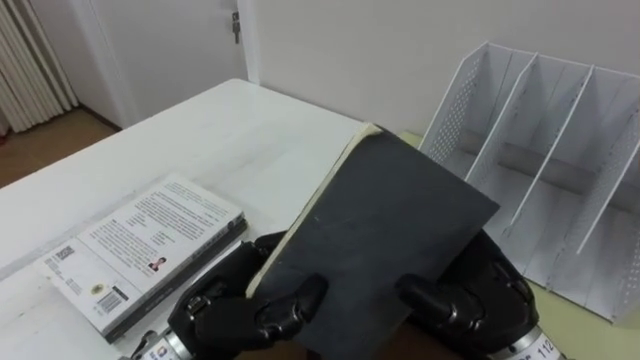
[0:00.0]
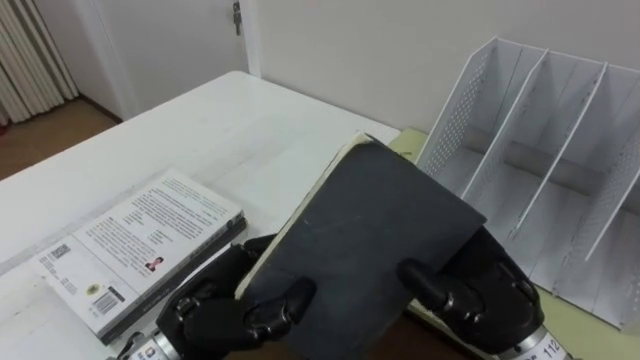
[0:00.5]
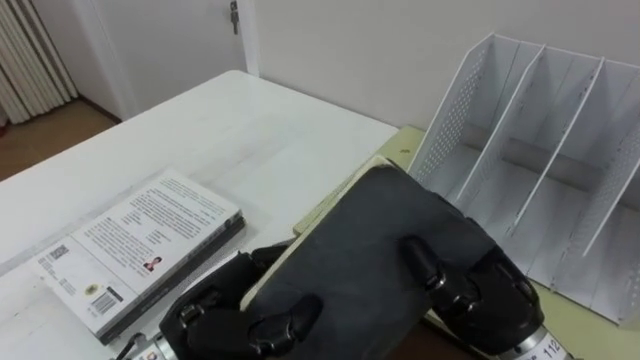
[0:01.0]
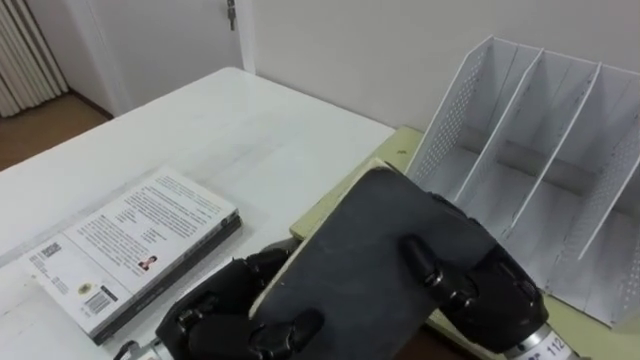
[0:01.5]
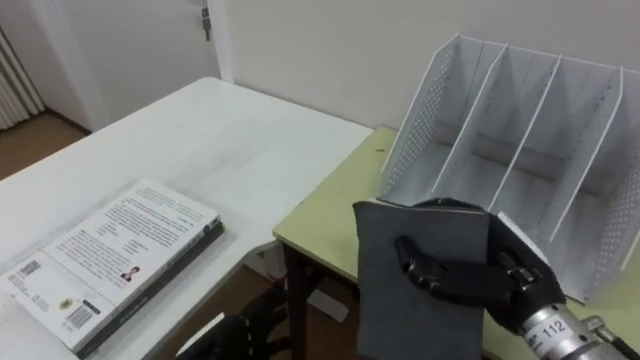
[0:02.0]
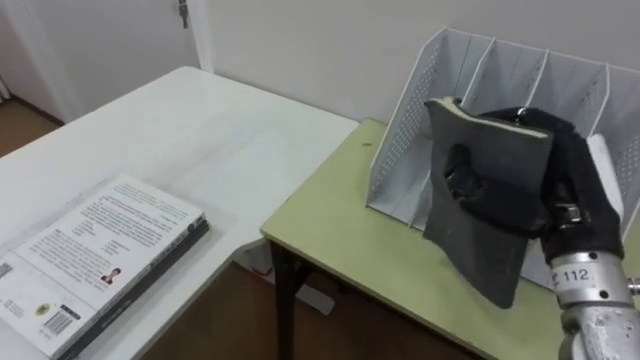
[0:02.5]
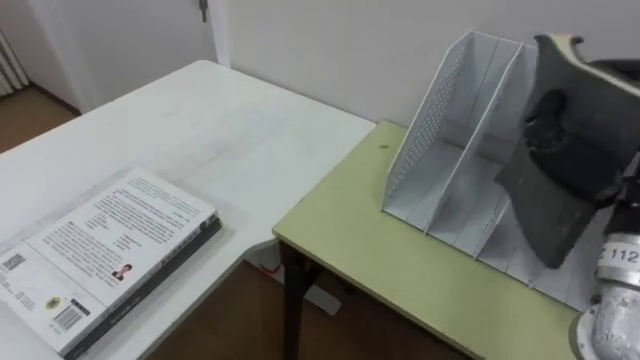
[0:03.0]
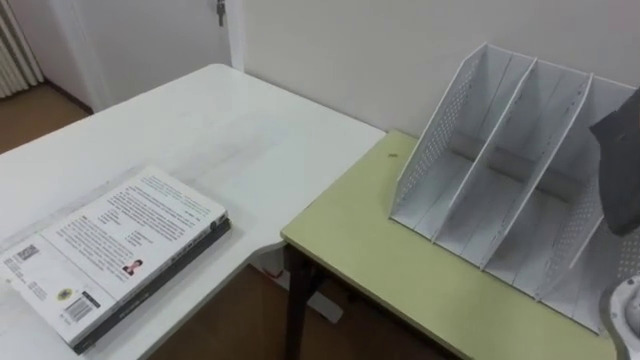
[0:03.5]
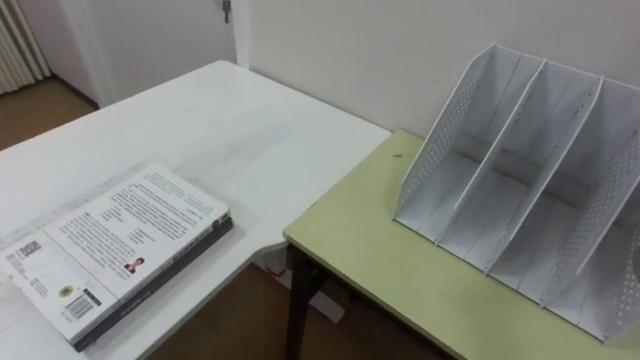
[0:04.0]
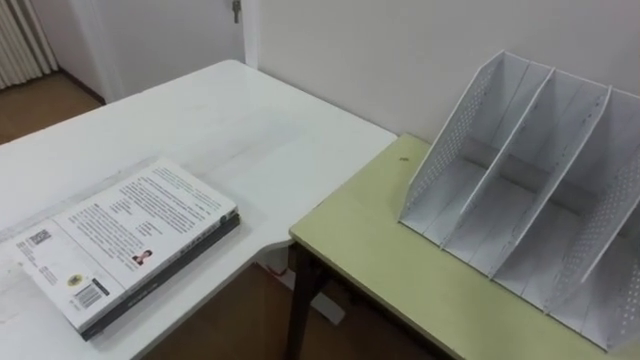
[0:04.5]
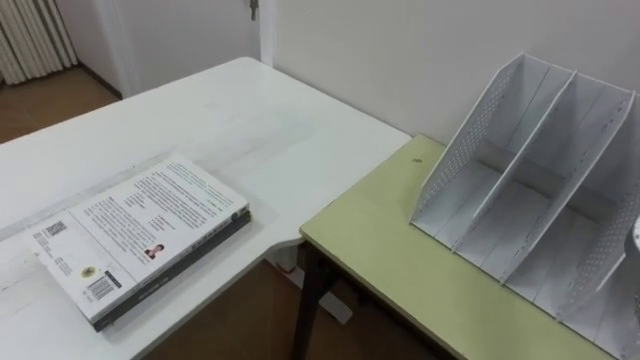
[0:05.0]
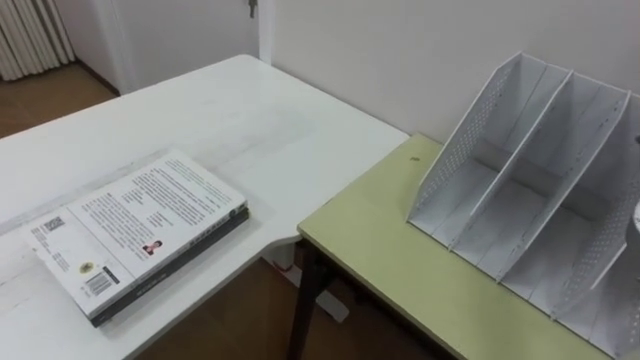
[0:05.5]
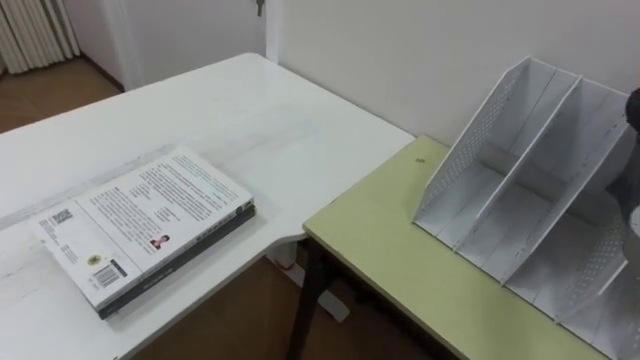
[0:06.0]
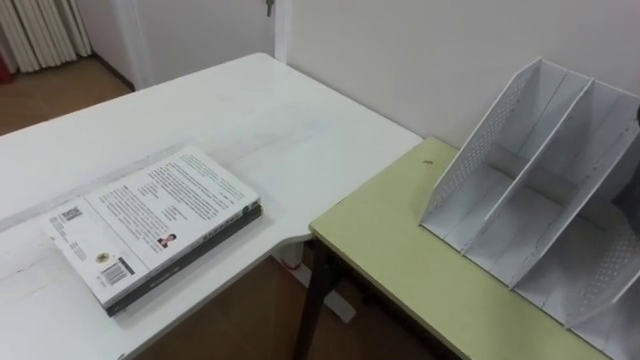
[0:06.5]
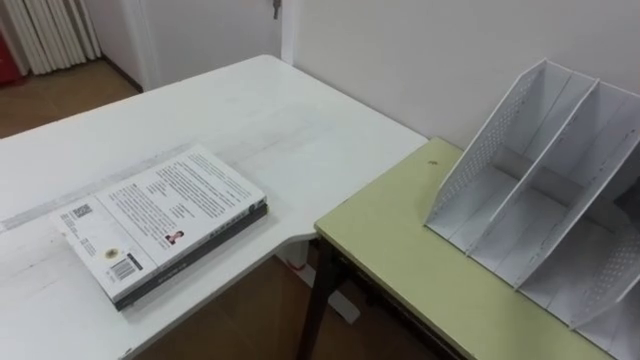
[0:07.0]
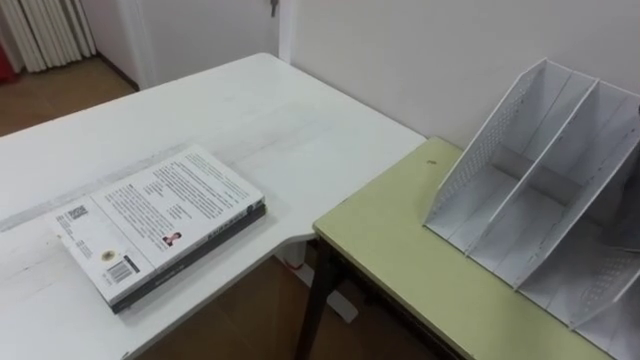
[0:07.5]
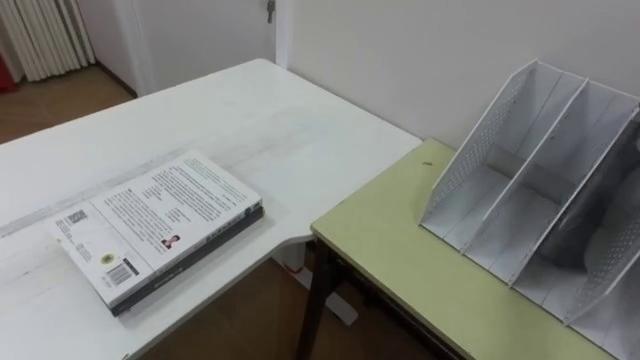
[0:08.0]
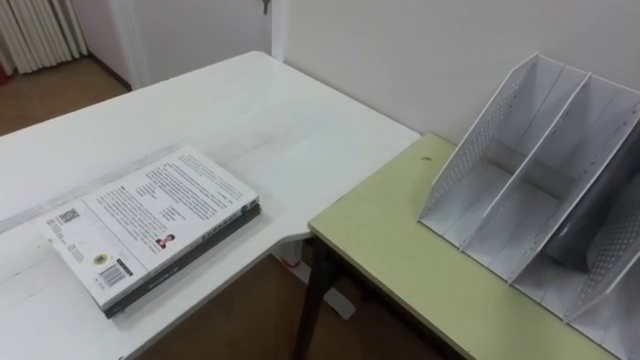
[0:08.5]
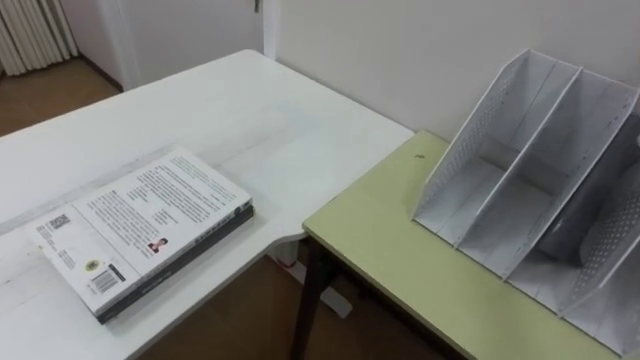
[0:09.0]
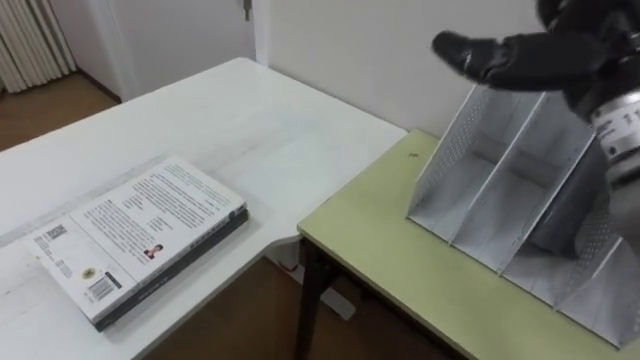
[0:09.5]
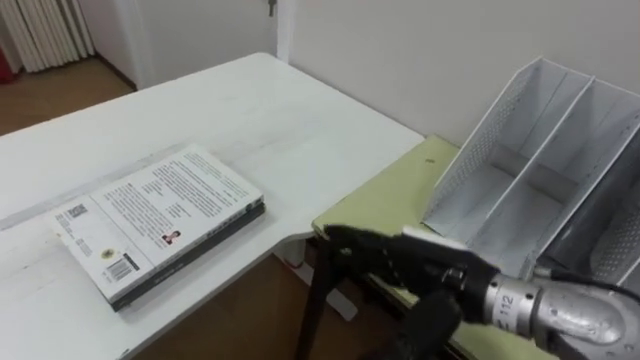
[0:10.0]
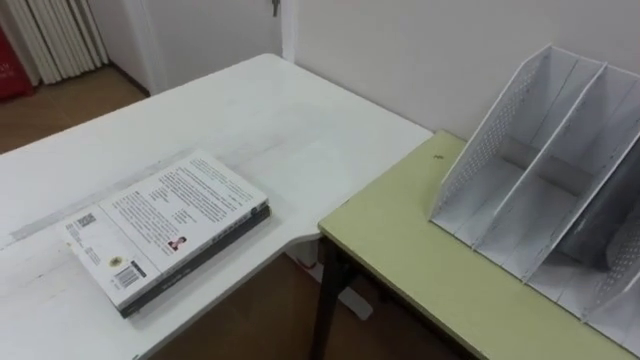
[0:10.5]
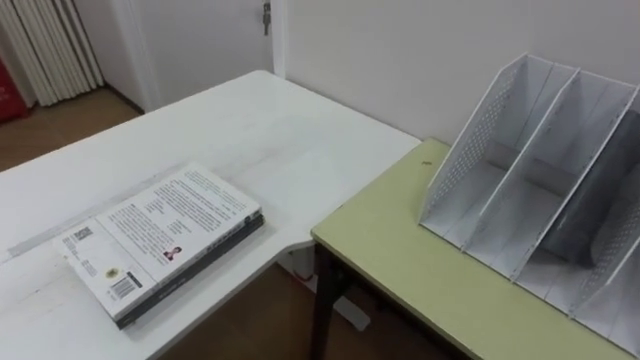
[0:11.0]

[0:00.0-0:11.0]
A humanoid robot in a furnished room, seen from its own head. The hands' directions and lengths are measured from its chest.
Task of the whole recording: Put the books on the table onto the bookshelf.
0:00.0 to 0:02.0: The right hand ends up approximately 5 cm from where it was, and closes. Meanwhile the left hand goes some 10 cm downward, and opens up.

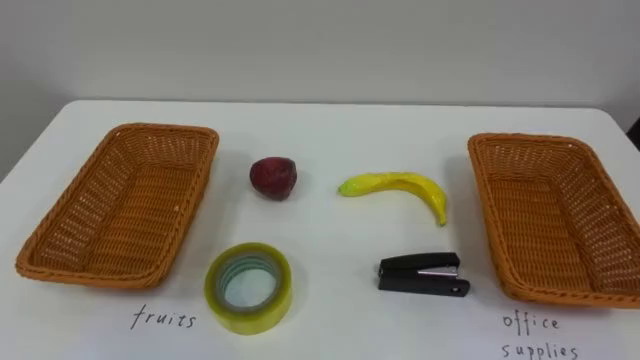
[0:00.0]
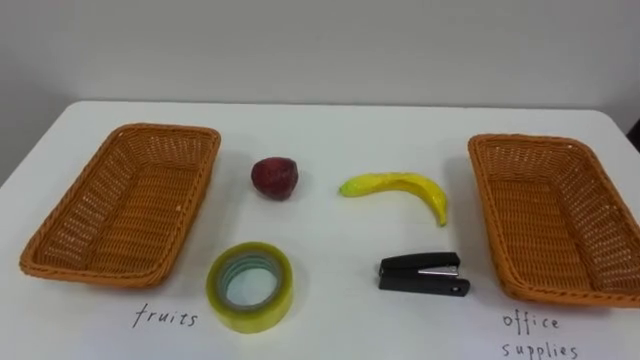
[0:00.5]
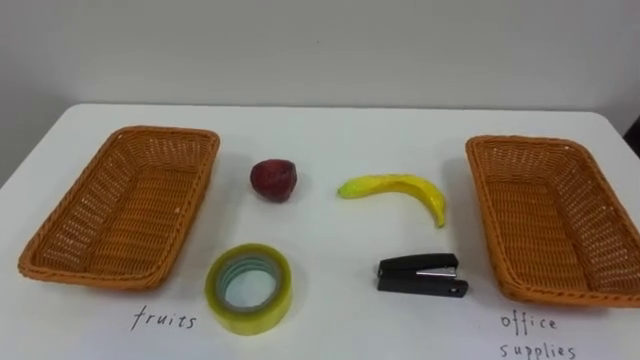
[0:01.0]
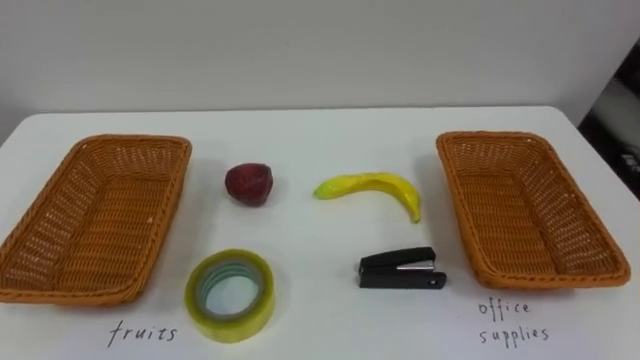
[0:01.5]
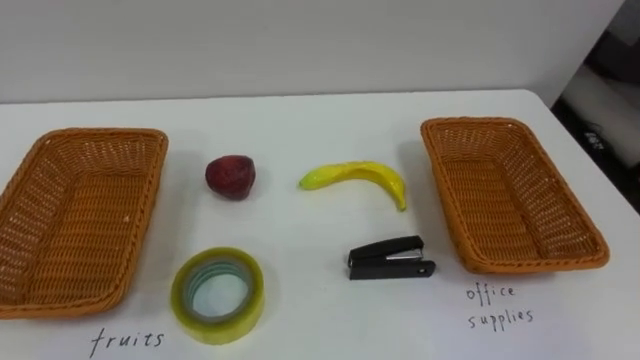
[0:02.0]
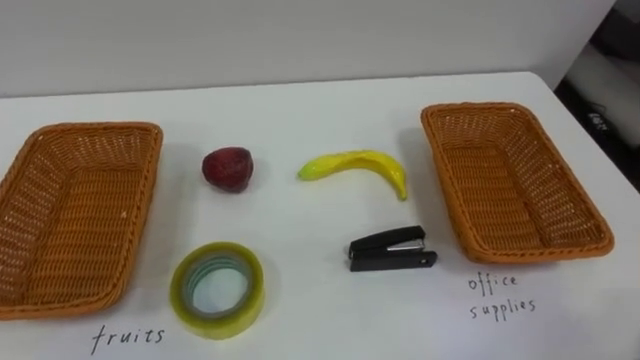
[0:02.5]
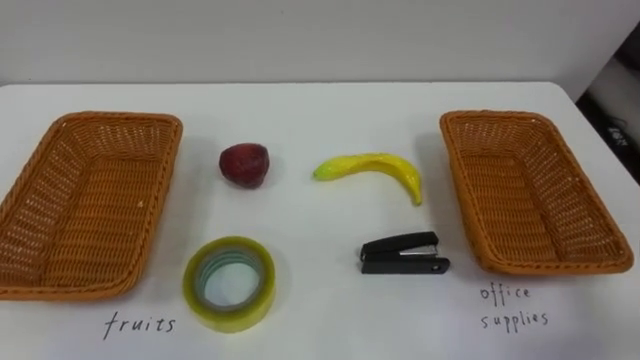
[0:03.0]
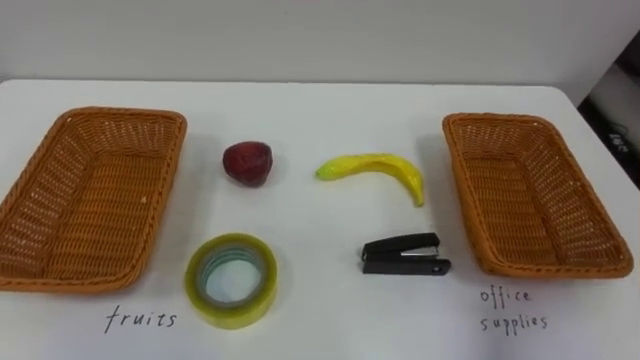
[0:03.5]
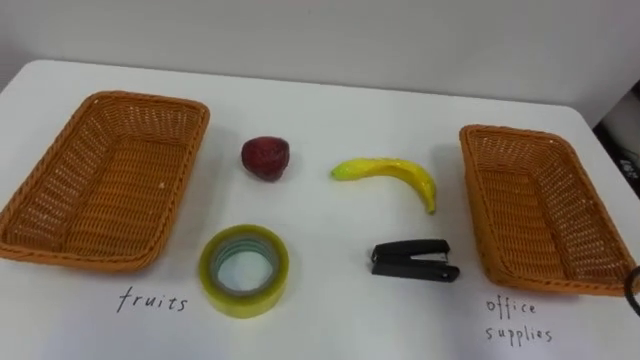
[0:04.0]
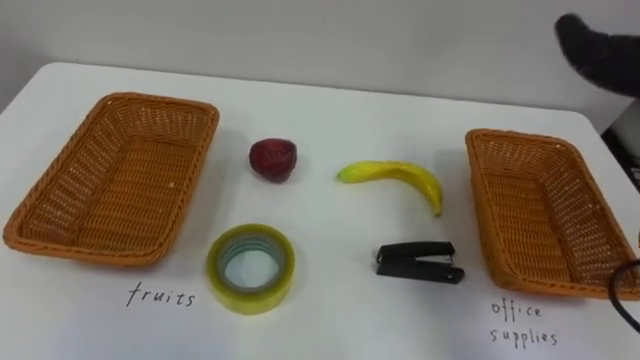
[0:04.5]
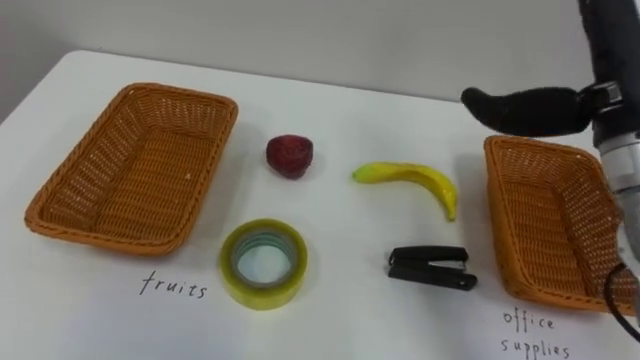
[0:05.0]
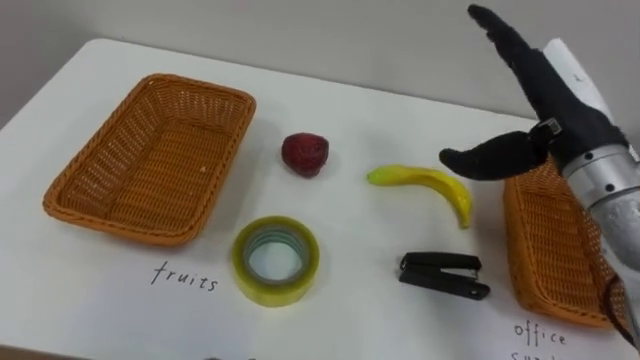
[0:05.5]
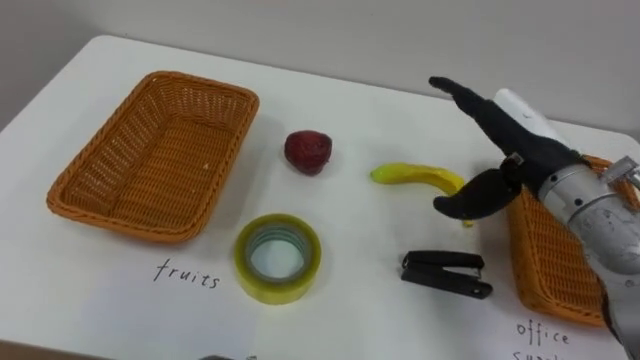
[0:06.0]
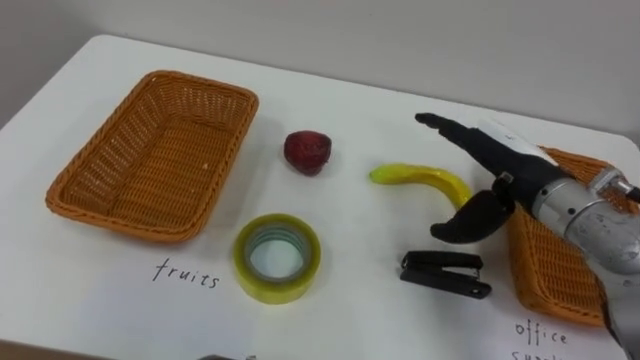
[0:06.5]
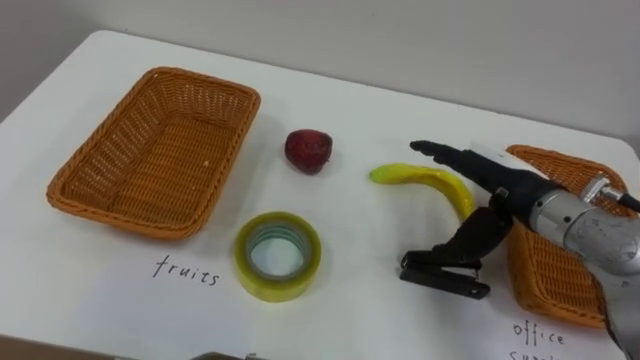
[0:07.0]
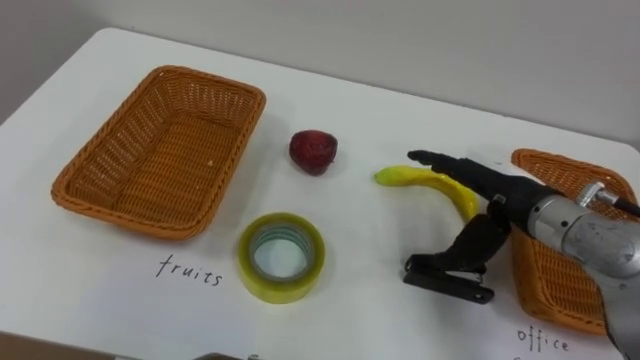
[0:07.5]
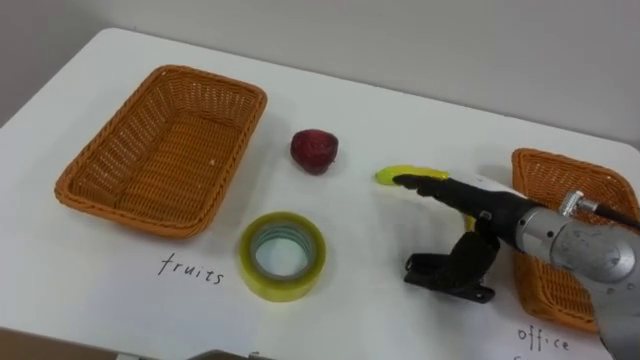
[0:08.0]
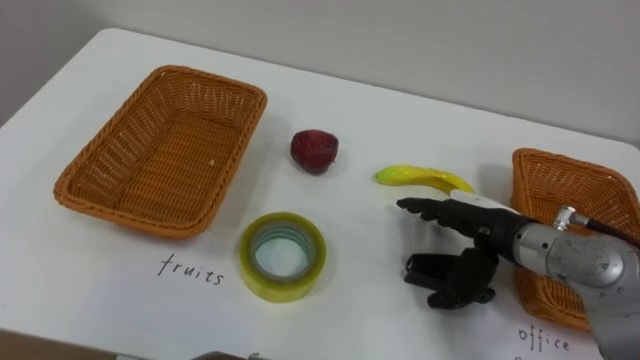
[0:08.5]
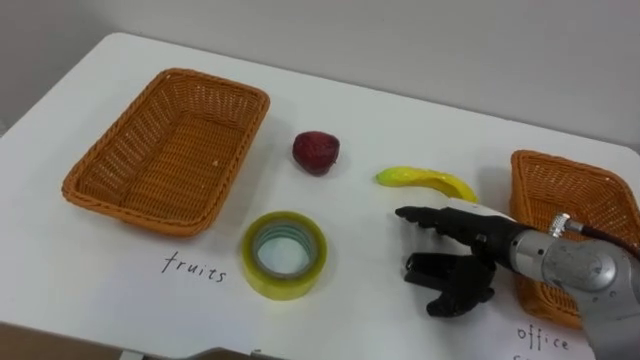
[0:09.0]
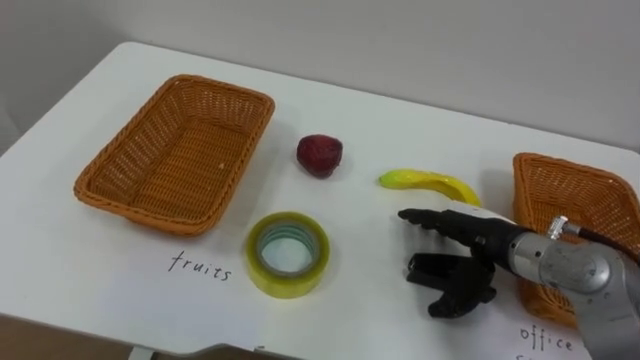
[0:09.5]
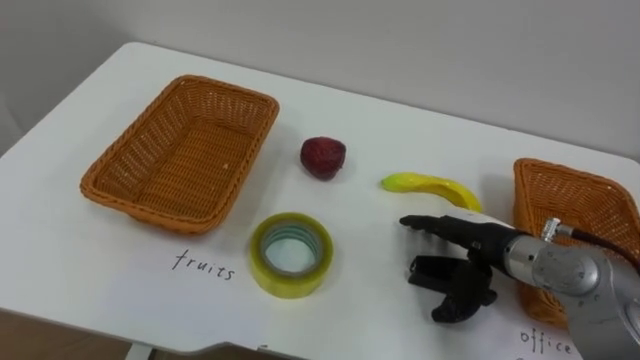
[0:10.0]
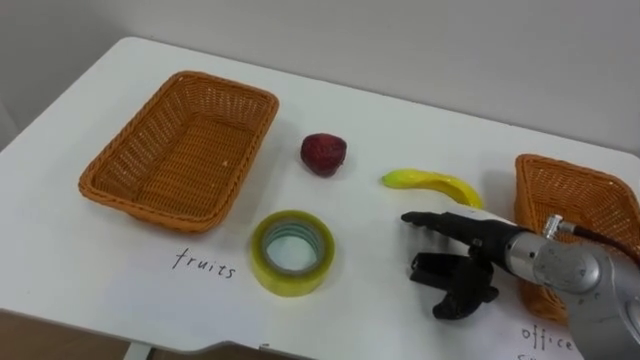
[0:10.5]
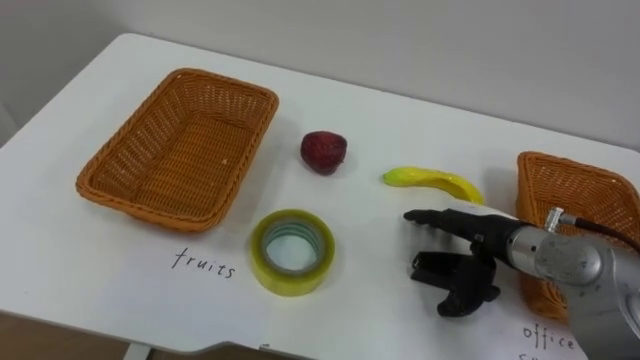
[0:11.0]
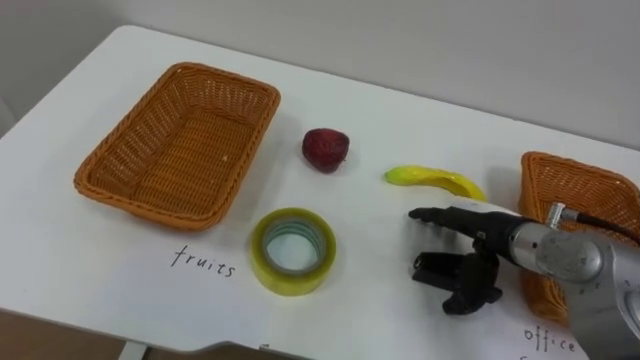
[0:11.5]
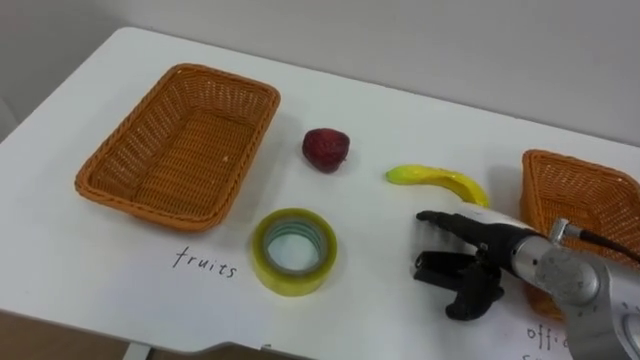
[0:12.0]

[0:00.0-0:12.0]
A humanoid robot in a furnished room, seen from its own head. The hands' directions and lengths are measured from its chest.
Task of the whole recording: Separate the items on the table and place them into the two baskets.
0:06.0 to 0:08.0: The right hand travels downward by some 10 cm.
0:08.0 to 0:10.0: The right hand is displaced downward by approximately 5 cm.
